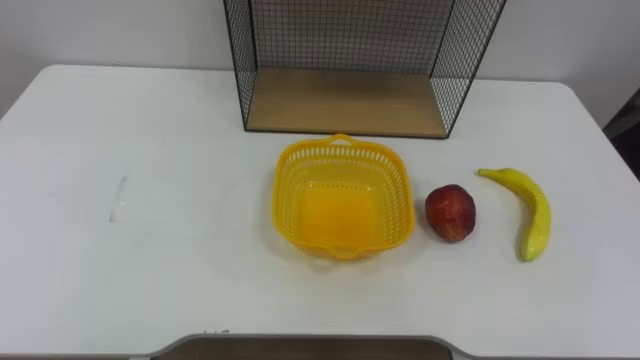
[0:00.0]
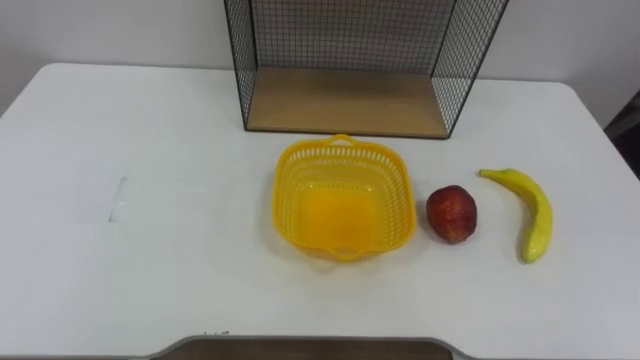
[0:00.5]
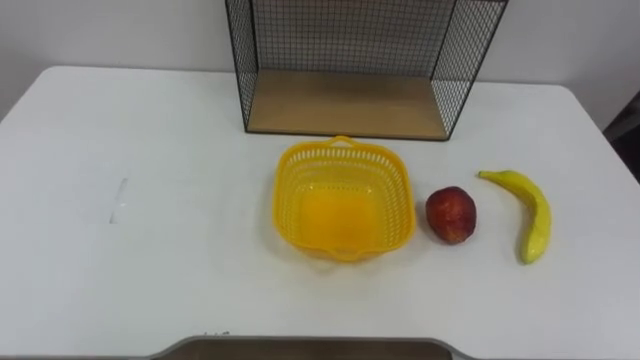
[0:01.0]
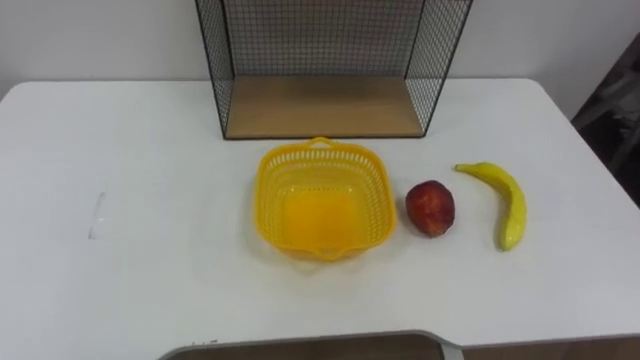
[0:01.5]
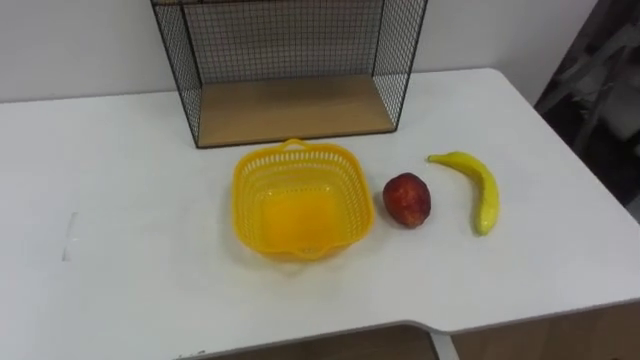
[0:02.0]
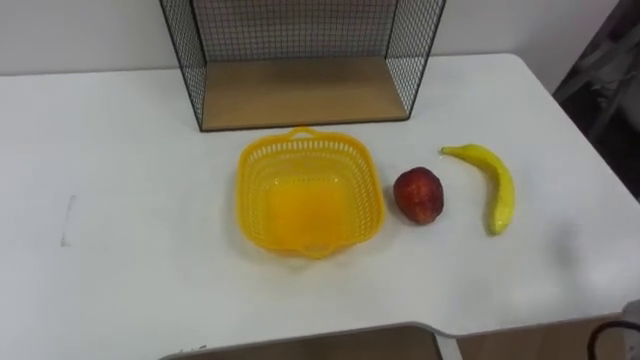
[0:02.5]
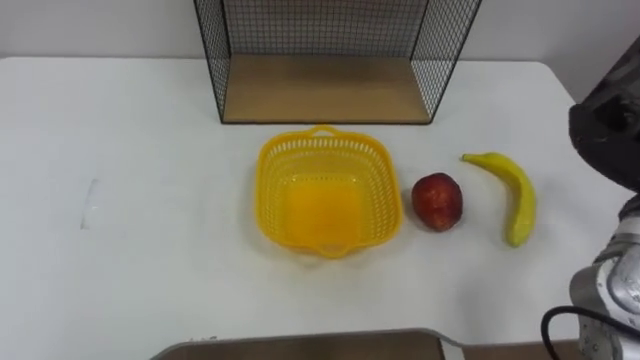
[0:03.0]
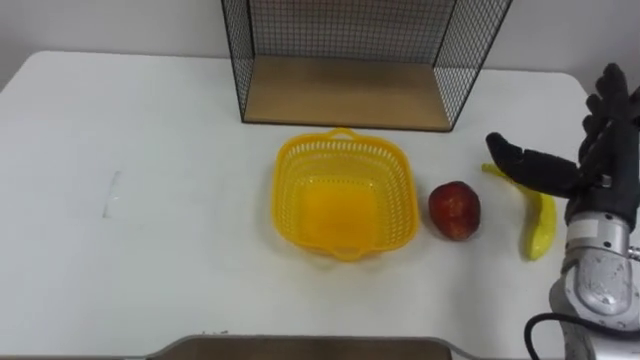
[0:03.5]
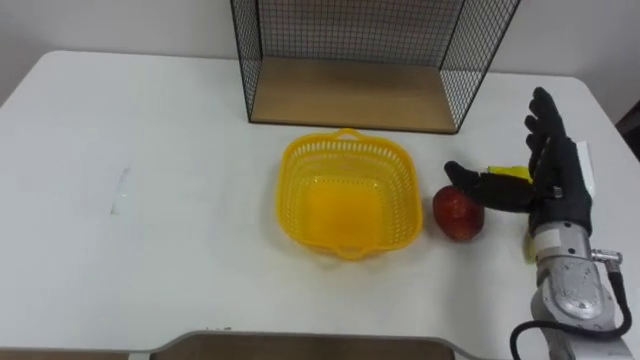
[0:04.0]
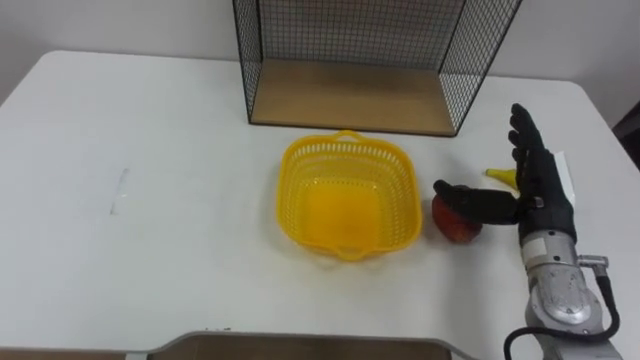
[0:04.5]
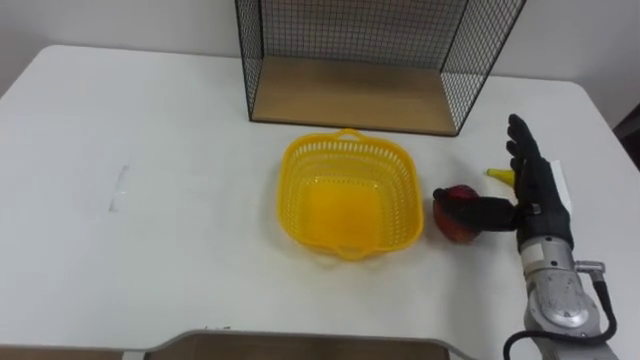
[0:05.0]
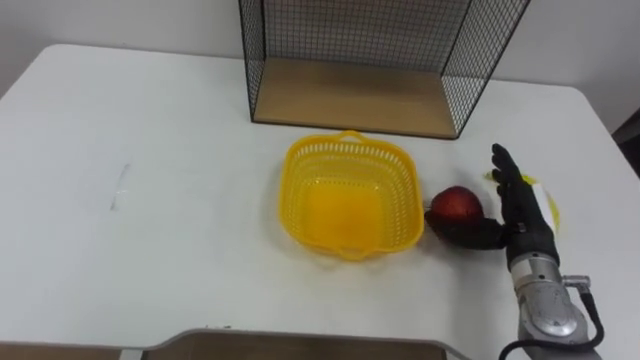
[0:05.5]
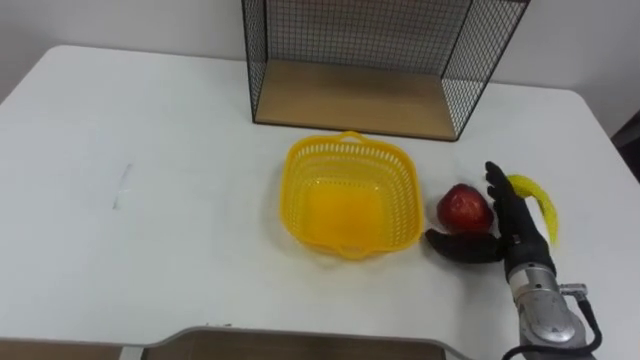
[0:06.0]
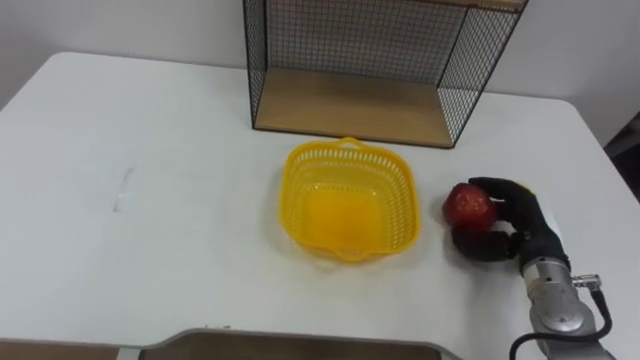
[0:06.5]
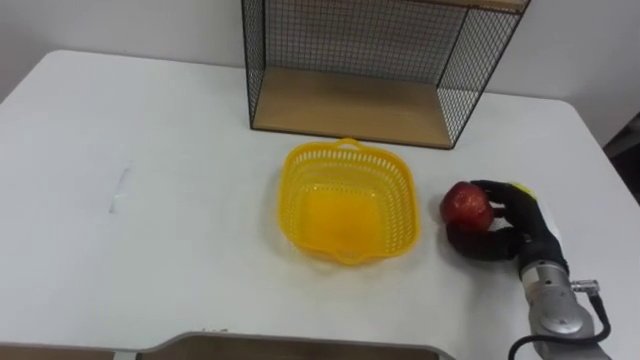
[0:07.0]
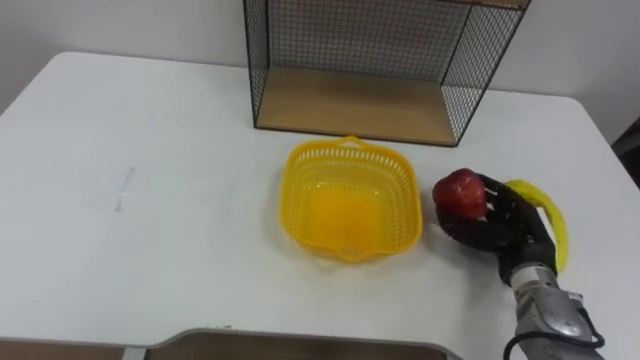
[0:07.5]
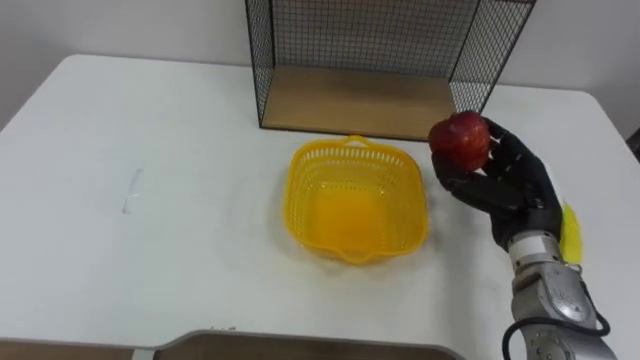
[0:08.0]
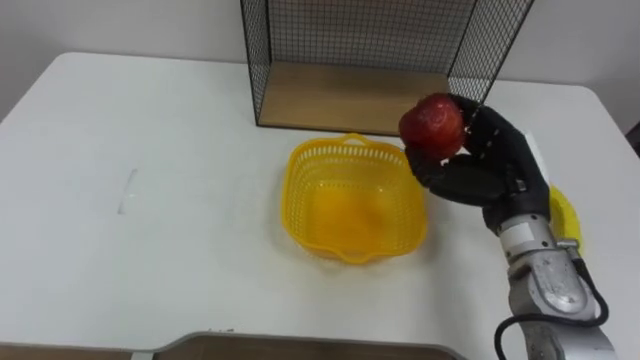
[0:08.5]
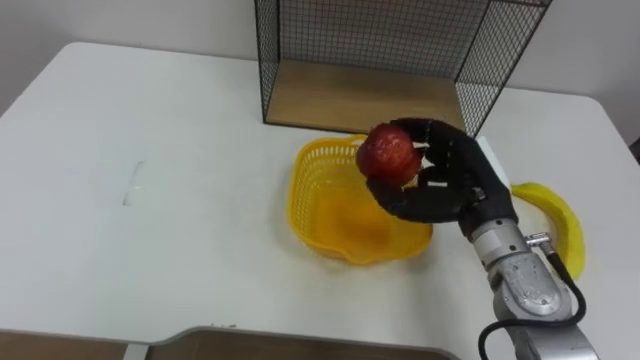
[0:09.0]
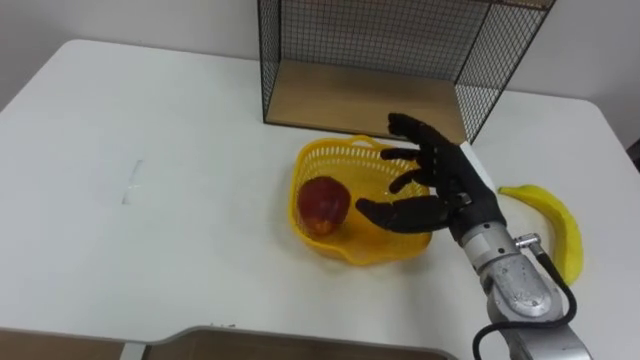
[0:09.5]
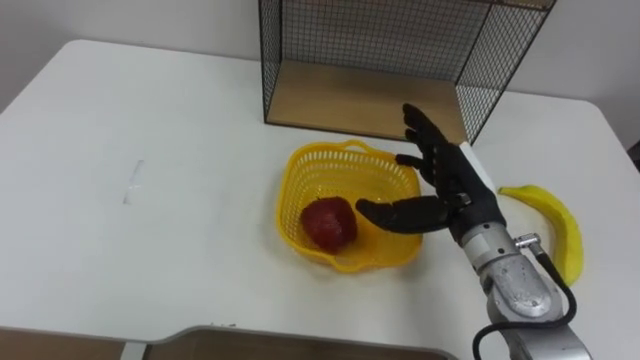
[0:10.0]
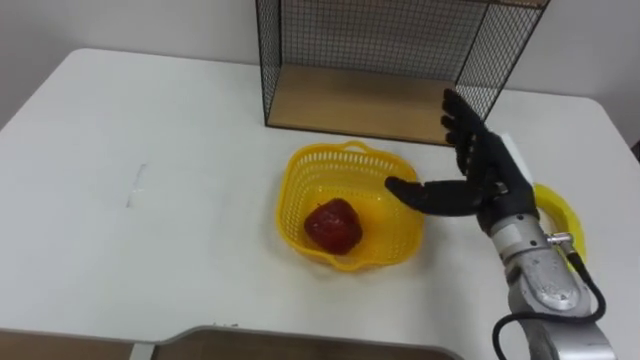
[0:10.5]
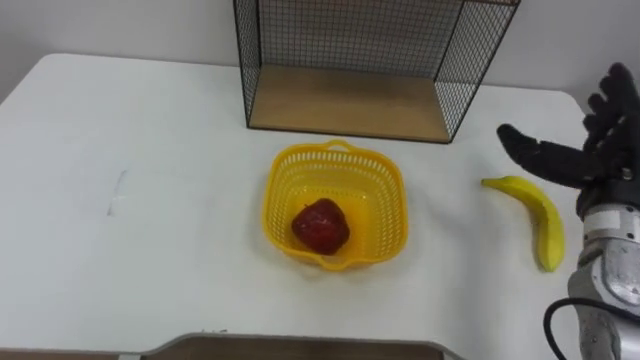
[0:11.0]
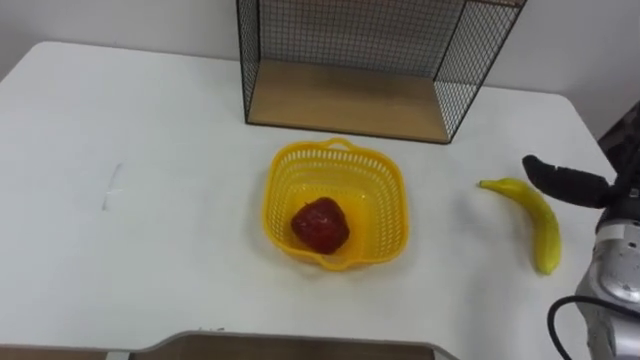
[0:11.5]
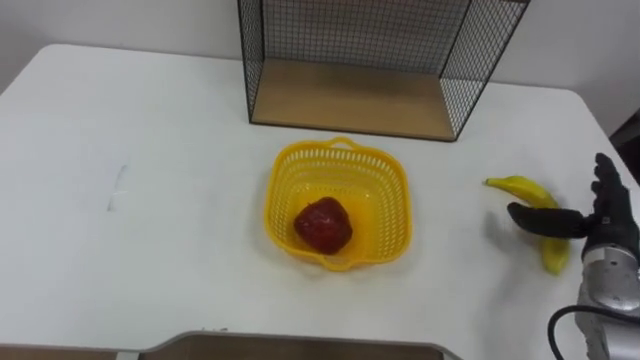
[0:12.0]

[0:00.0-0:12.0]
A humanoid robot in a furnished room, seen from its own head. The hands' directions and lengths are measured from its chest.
Task of the whole recording: Put the fruit on the table into the basket, then place the basket on the shelf.
0:04.0 to 0:06.0: The right hand goes approximately 10 cm downward.
0:06.0 to 0:08.0: The right hand goes roughly 5 cm upward, and closes its fingers.
0:08.0 to 0:10.0: The right hand goes about 10 cm to the left, and opens up.

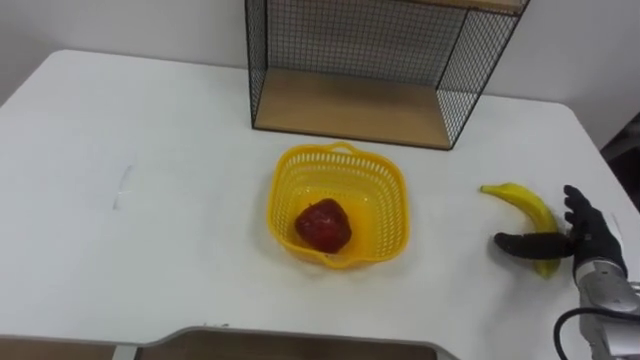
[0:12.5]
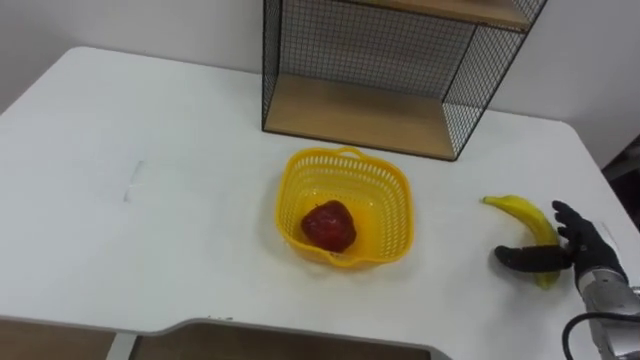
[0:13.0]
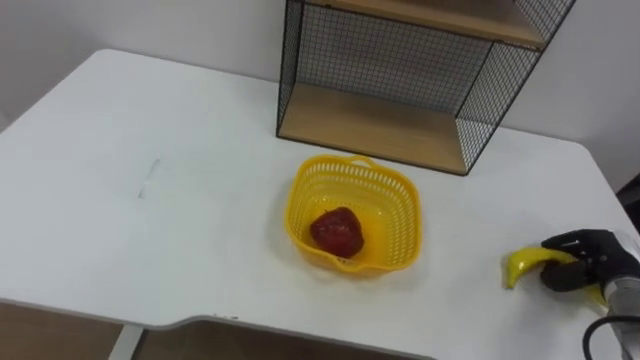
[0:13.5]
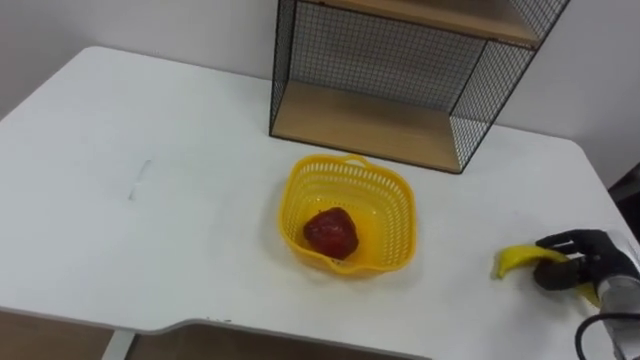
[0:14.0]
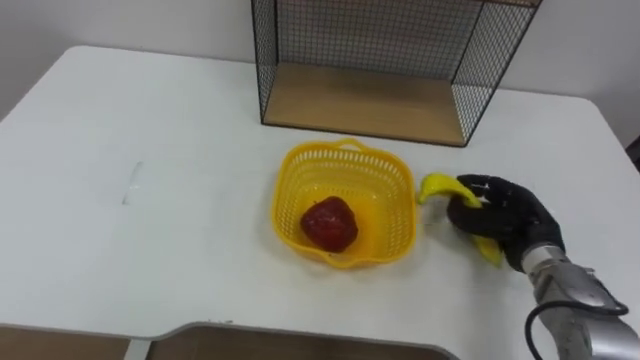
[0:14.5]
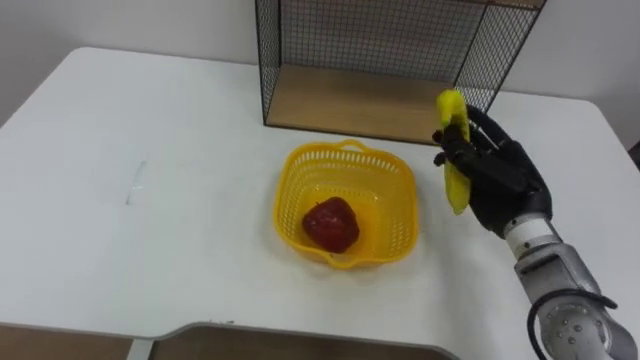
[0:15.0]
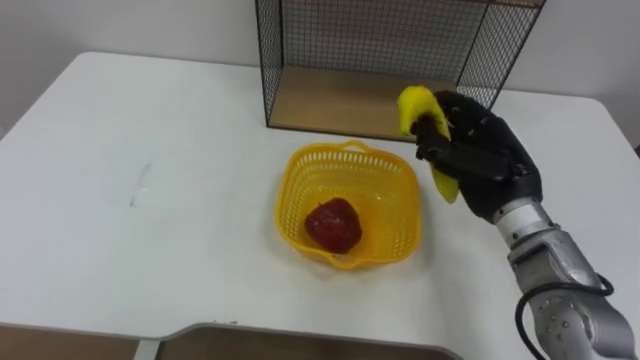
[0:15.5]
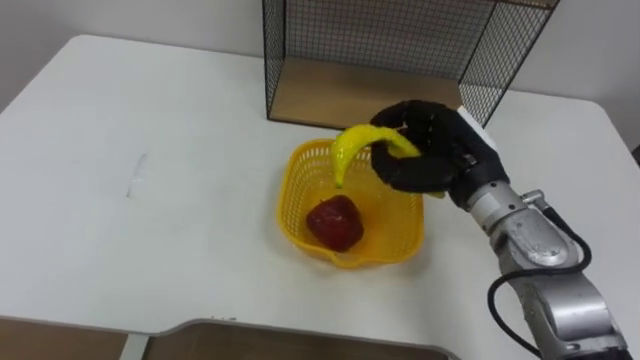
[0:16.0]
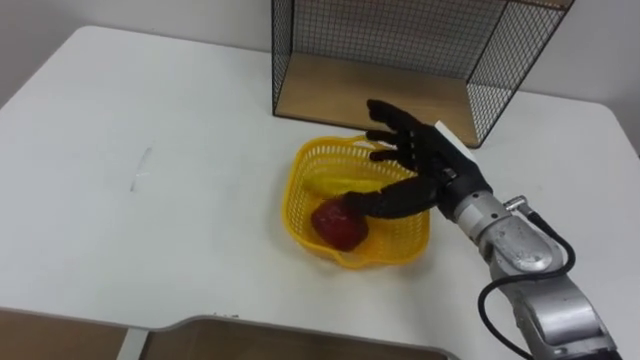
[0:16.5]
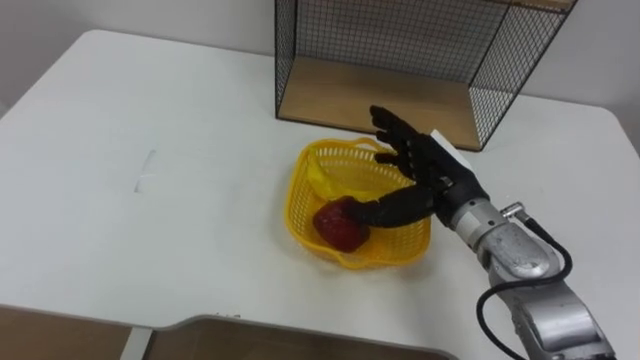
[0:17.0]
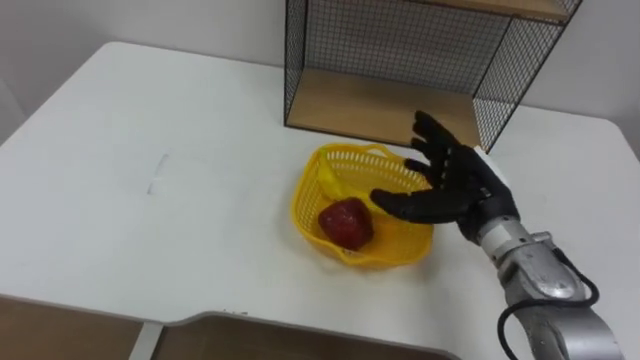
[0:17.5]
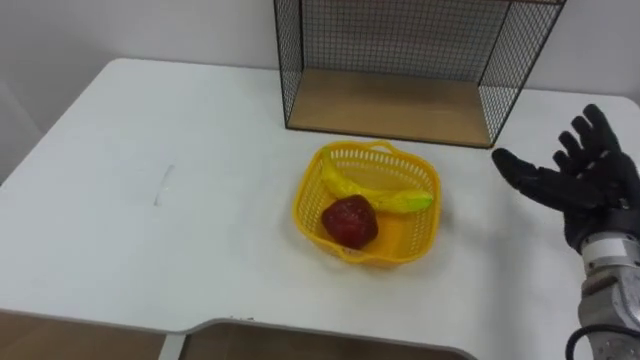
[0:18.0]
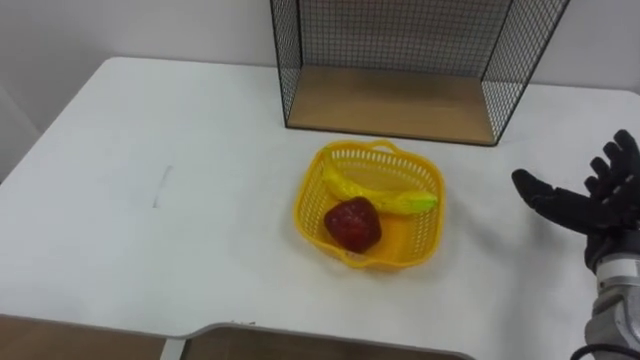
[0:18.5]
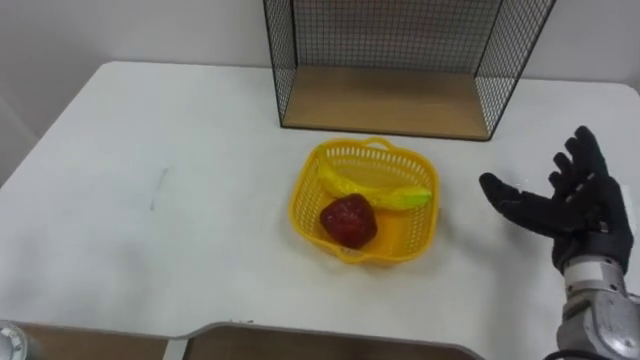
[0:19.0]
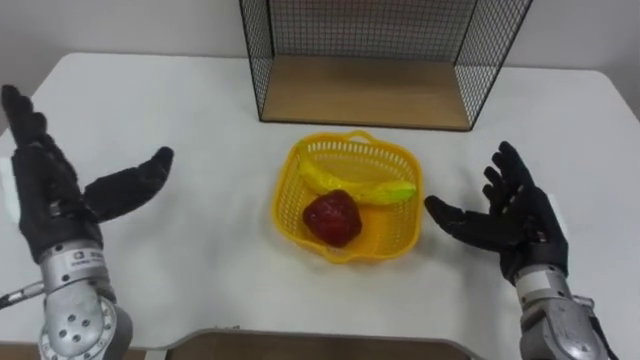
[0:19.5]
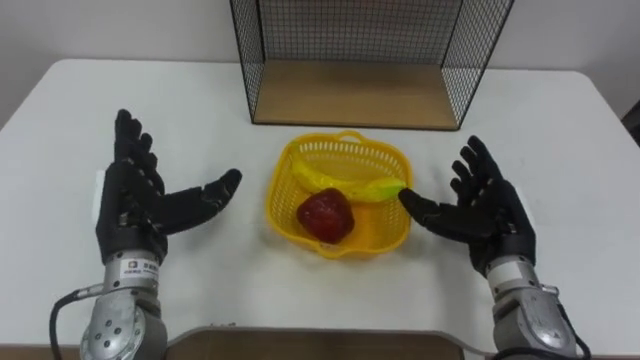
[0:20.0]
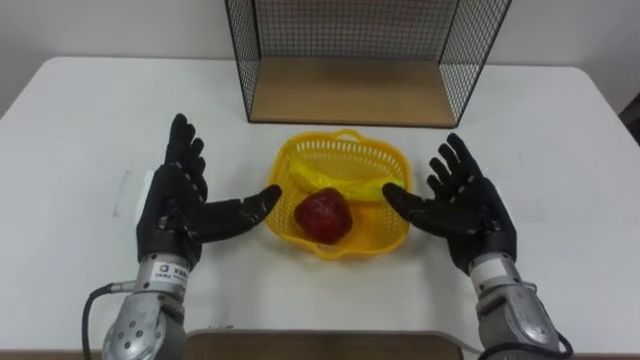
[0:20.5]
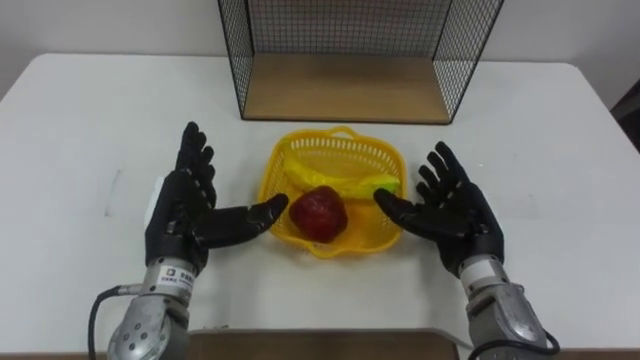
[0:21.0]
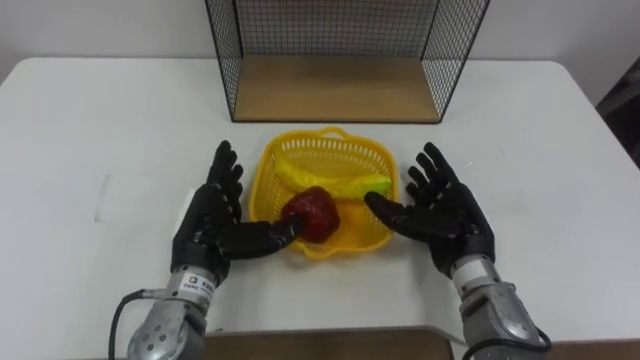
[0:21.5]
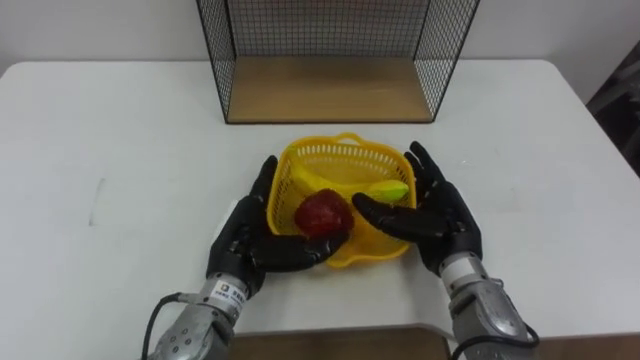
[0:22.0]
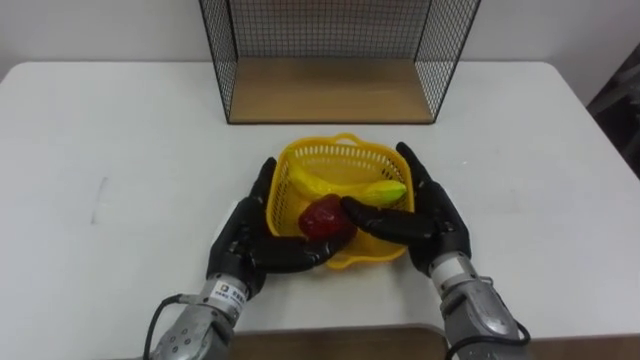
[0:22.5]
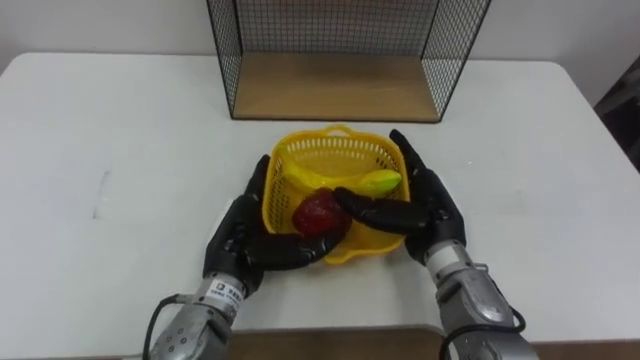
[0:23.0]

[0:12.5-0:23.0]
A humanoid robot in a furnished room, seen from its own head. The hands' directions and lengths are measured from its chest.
Task of the whole recording: Put the fruit on the table into the basket, then place the basket on the shelf.
0:12.5 to 0:14.5: The right hand moves to the left, about 10 cm, and closes its fingers.
0:14.5 to 0:16.5: The right hand travels to the left and upward by approximately 15 cm, and opens its fingers.
0:16.5 to 0:19.0: The right hand is displaced to the right and backward by roughly 15 cm.
0:19.0 to 0:21.0: The right hand shifts some 10 cm to the left.
0:21.0 to 0:23.0: The right hand goes approximately 5 cm to the left. Meanwhile the left hand is displaced to the right by some 5 cm.
